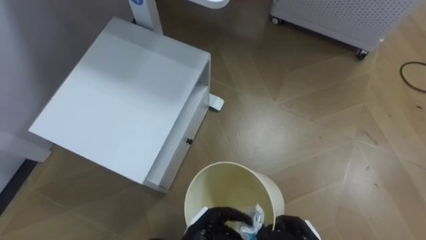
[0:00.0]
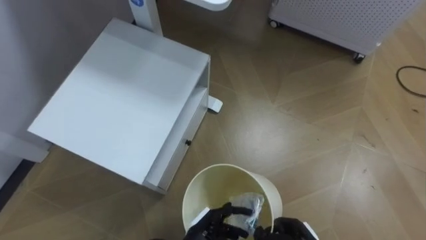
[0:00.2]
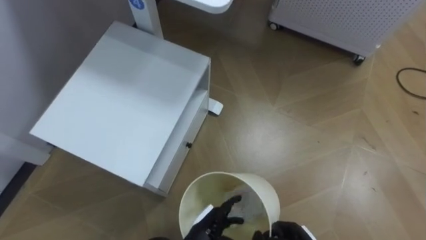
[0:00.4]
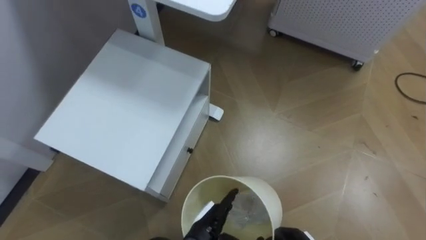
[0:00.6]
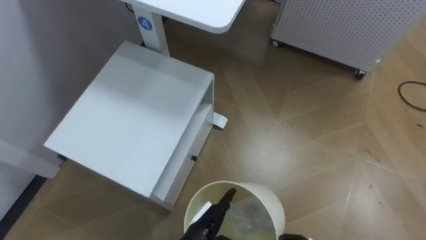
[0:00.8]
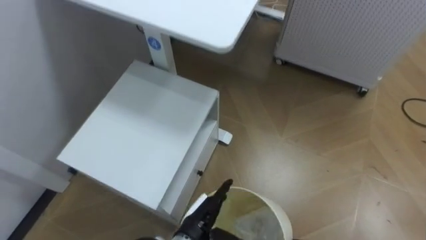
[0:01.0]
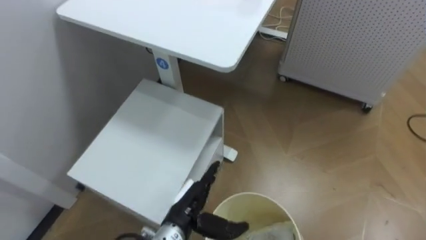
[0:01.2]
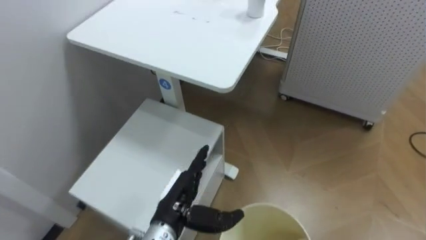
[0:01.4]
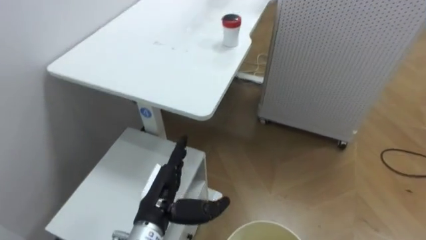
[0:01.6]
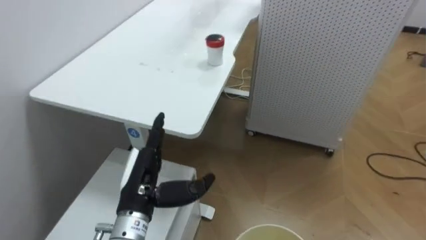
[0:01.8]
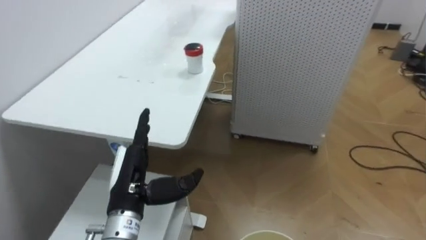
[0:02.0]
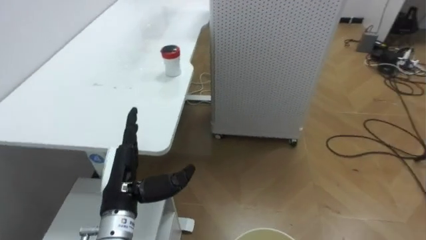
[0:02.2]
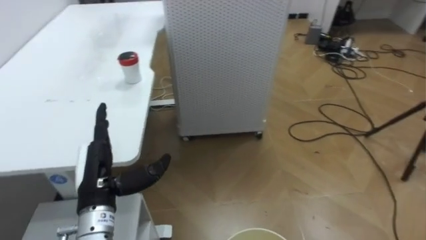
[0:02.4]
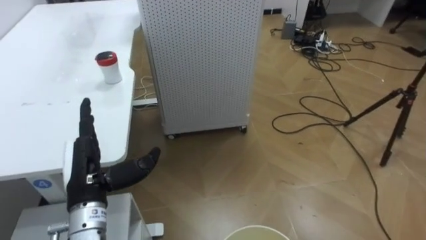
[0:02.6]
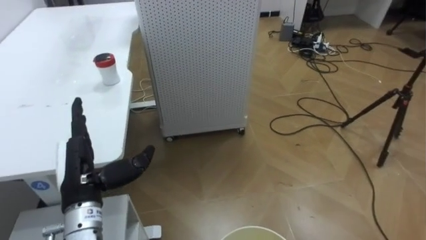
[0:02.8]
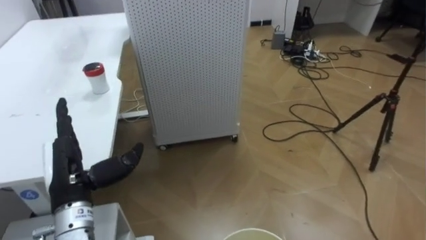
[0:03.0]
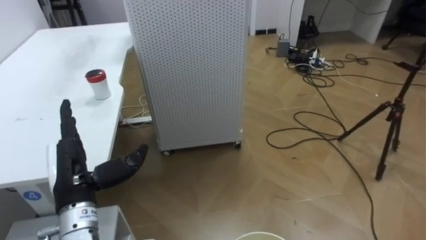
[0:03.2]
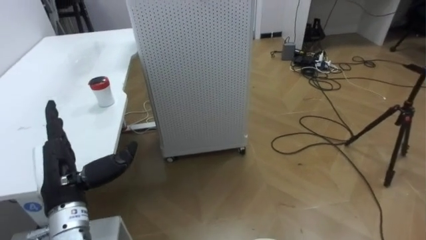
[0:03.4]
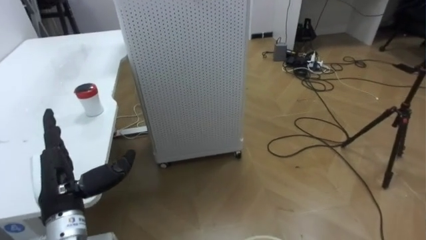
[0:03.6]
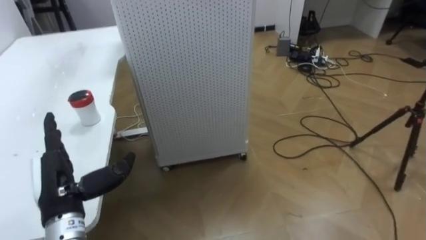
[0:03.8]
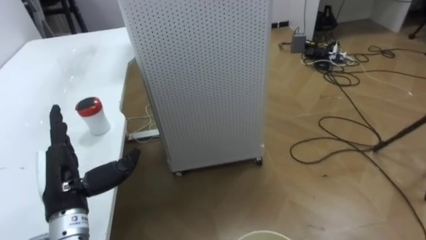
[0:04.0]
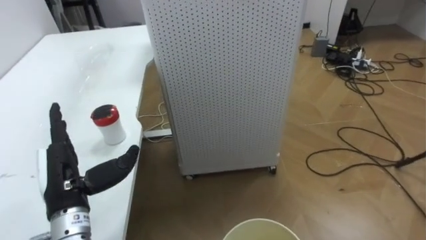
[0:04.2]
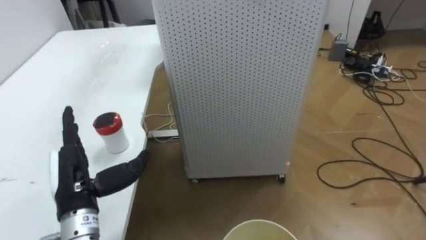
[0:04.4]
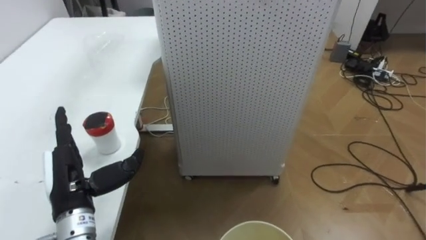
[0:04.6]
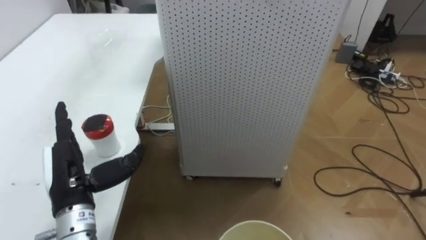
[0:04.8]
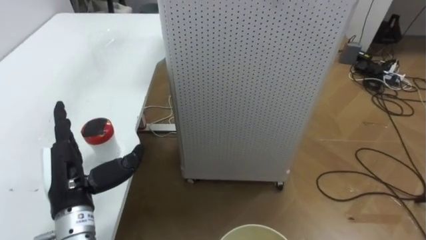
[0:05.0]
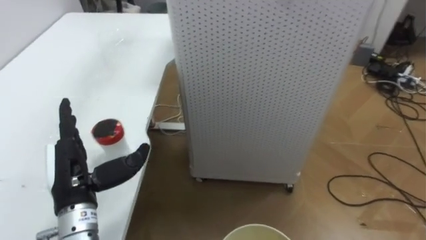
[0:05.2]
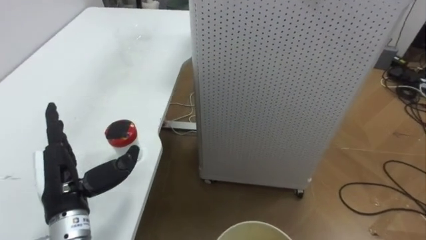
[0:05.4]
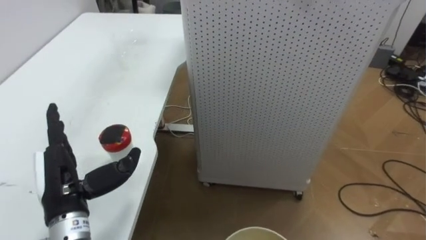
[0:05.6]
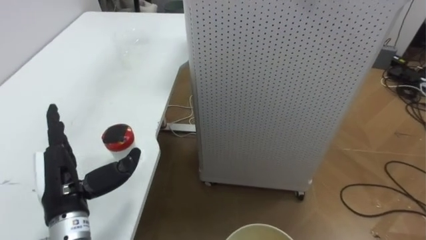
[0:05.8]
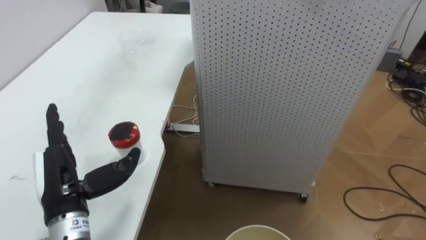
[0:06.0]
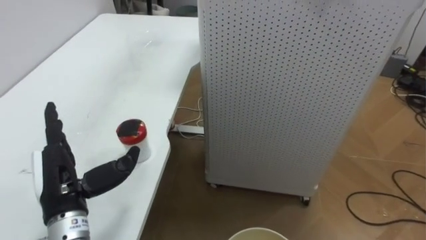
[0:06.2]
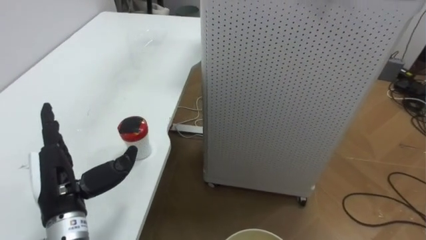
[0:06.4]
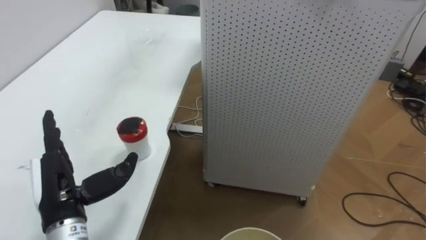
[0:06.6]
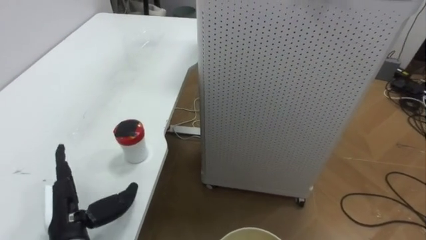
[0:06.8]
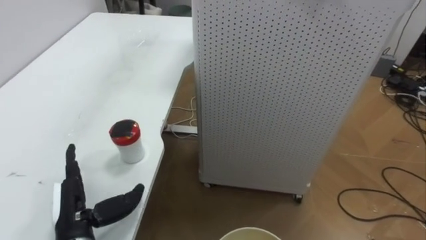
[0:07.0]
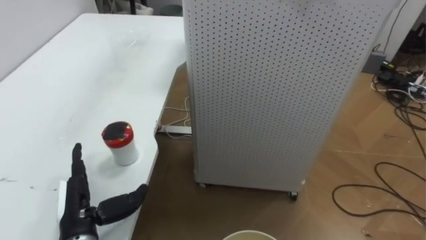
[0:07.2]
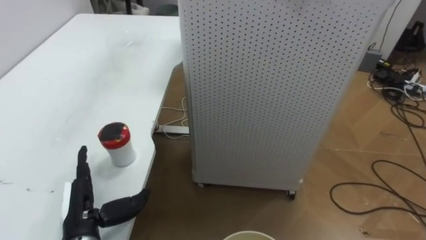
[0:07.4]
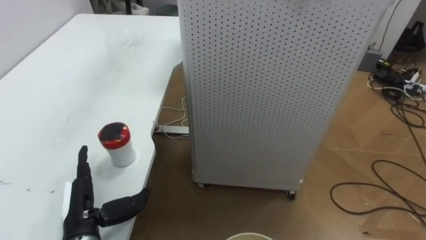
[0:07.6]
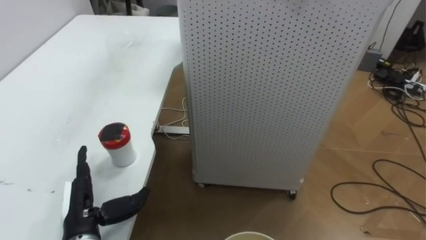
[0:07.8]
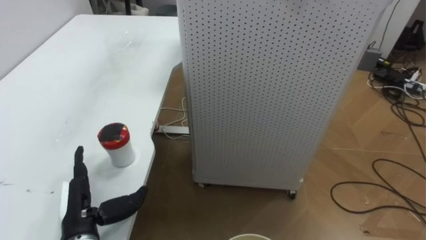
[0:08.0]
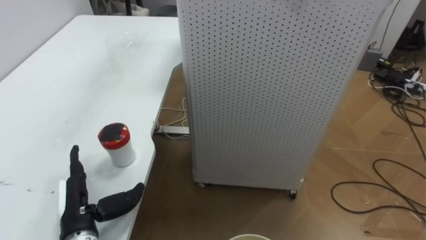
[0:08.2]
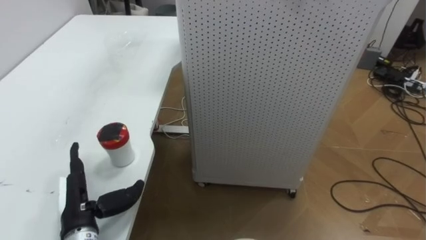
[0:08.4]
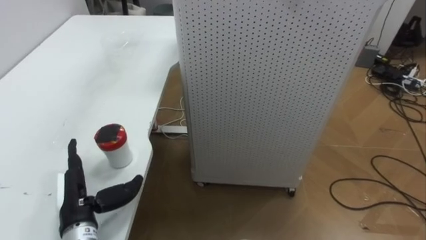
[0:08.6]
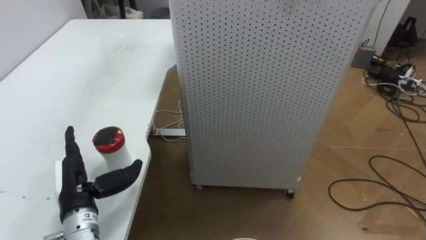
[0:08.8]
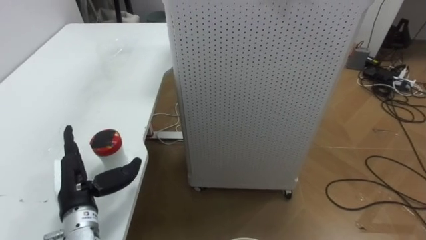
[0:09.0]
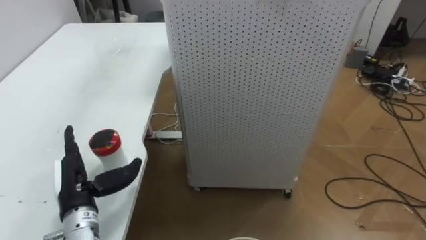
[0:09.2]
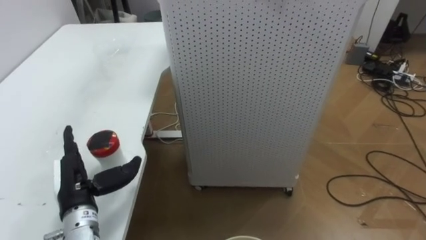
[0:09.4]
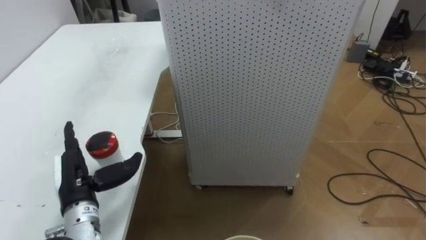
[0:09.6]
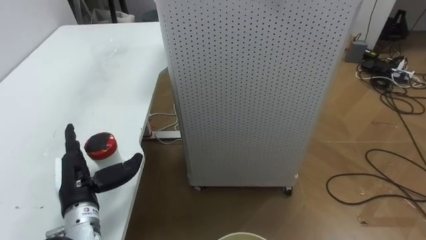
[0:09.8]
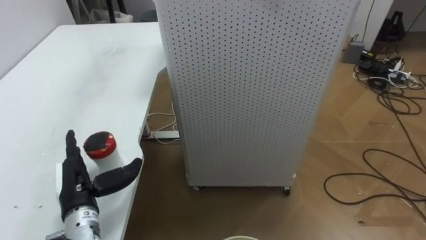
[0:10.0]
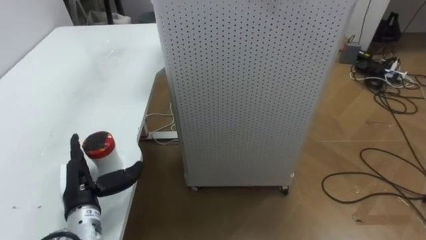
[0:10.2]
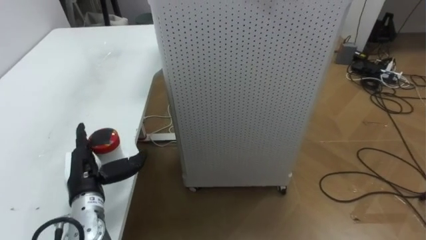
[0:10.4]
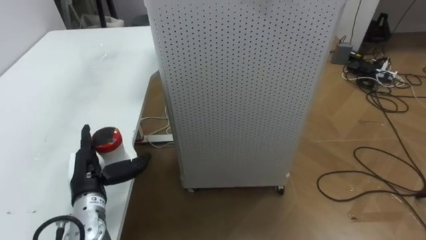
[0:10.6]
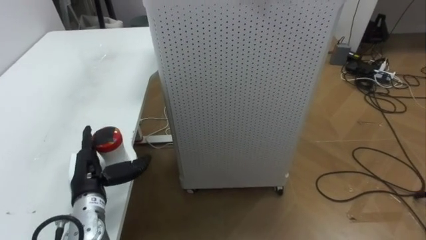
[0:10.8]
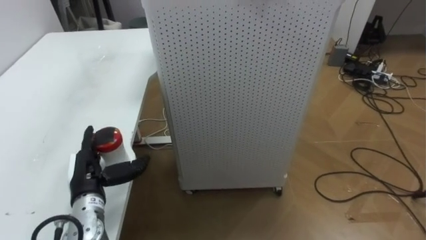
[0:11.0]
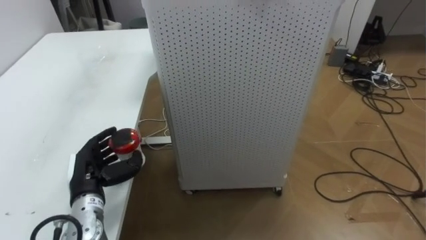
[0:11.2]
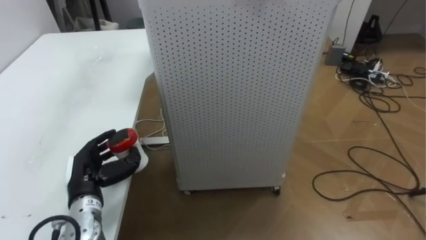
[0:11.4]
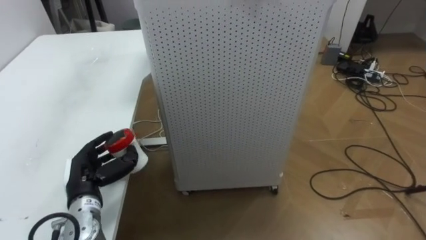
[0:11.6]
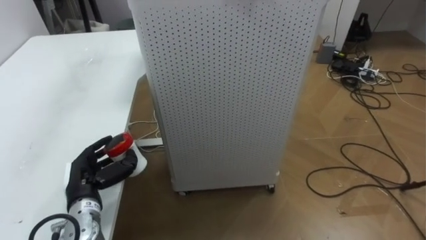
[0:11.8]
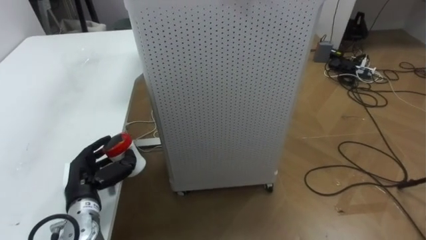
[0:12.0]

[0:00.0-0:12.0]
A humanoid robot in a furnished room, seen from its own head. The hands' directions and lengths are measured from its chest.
Task of the whole recording: Pick up the light blue package, the candy box, and the dark blue package separately, and put them into the trash can held in your right hand.
0:00.0 to 0:01.6: The left hand moves upward and to the left, some 15 cm, and opens its fingers.
0:01.6 to 0:03.0: The robot turns to its right by approximately 35 degrees. The left hand travels to the left and upward by some 15 cm.
0:06.0 to 0:07.6: The left hand heads downward, covering approximately 10 cm.
0:10.4 to 0:12.0: The left hand closes its fingers.

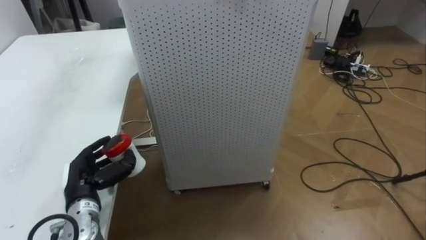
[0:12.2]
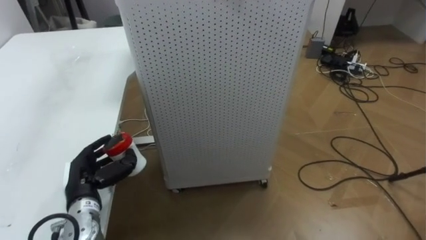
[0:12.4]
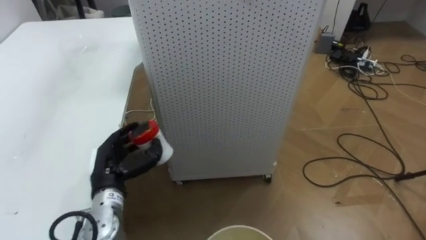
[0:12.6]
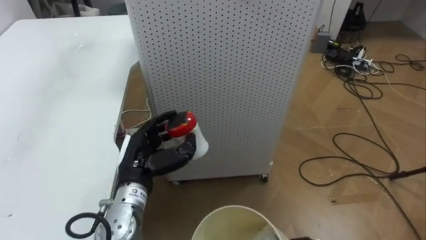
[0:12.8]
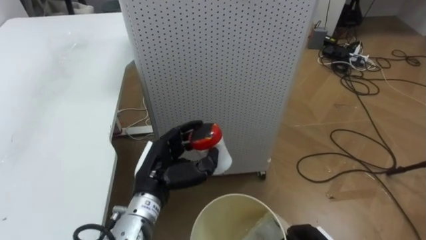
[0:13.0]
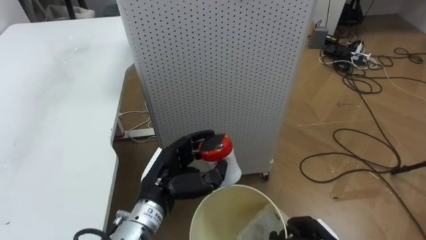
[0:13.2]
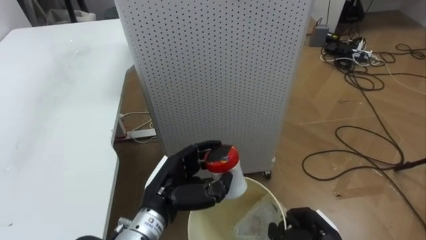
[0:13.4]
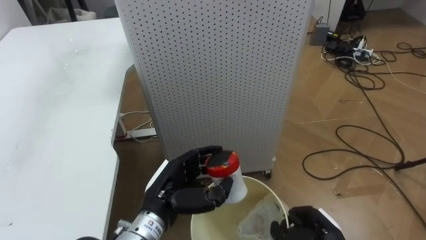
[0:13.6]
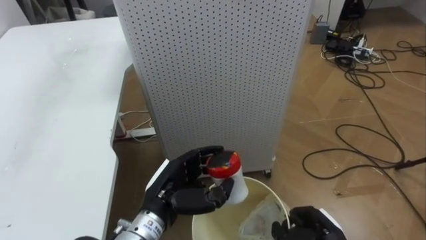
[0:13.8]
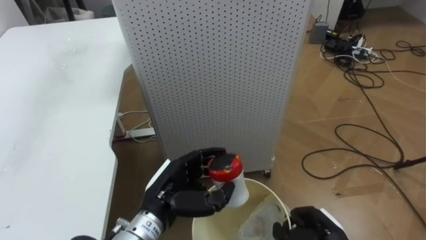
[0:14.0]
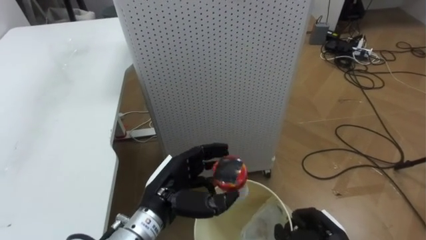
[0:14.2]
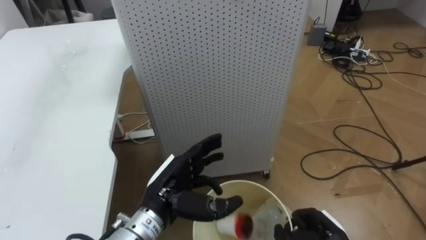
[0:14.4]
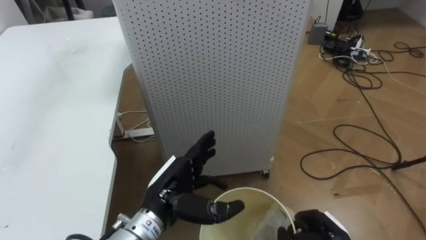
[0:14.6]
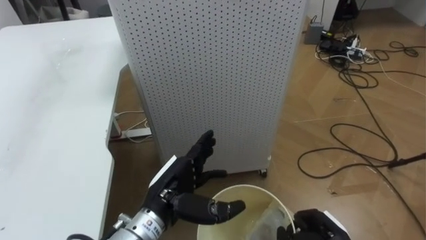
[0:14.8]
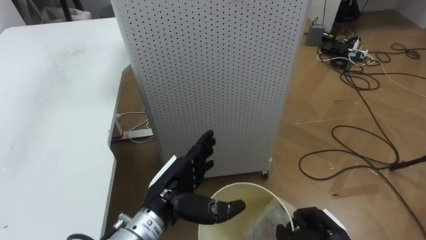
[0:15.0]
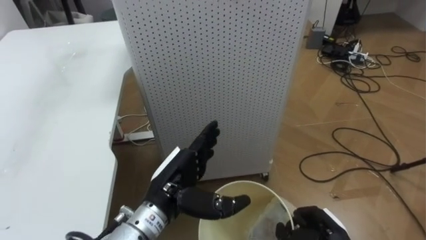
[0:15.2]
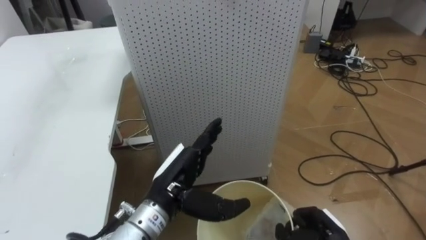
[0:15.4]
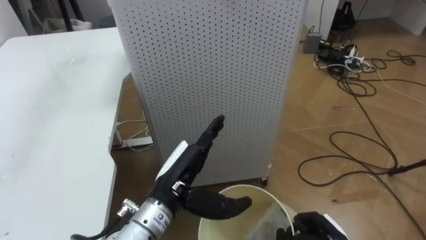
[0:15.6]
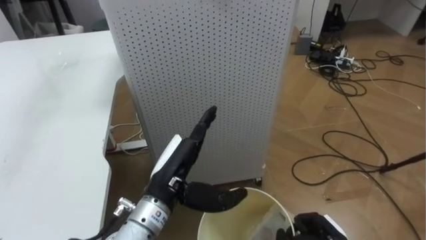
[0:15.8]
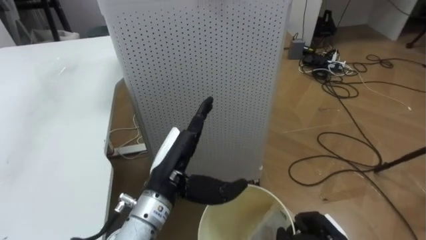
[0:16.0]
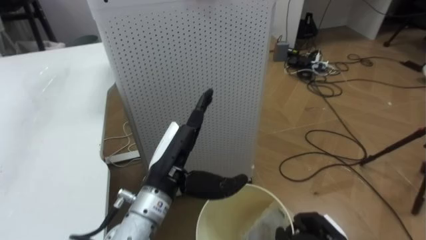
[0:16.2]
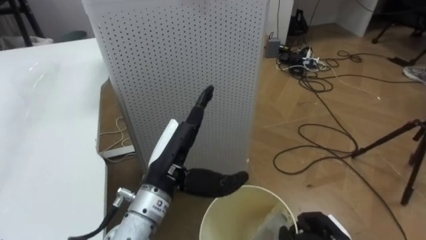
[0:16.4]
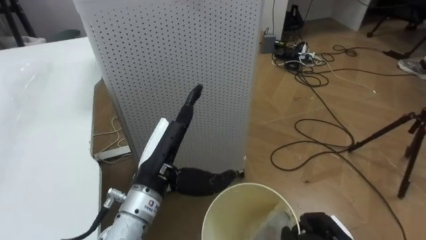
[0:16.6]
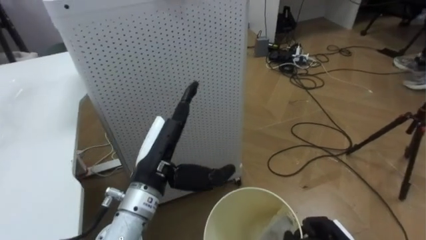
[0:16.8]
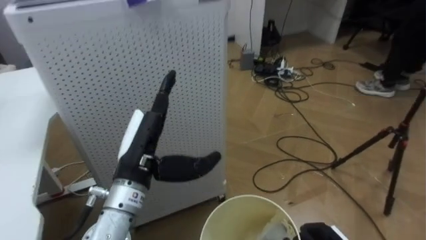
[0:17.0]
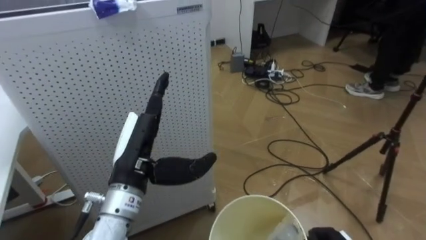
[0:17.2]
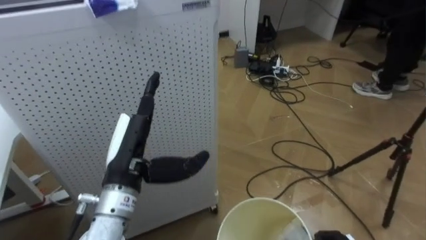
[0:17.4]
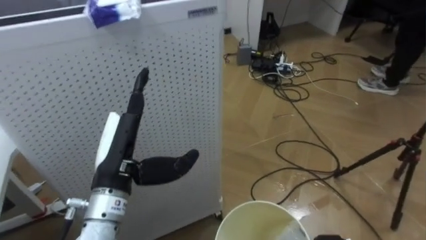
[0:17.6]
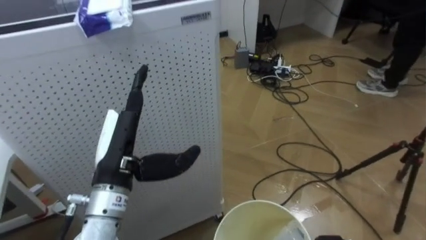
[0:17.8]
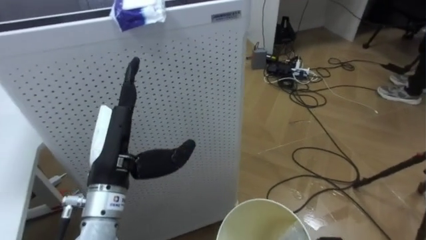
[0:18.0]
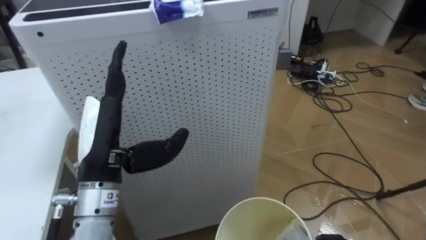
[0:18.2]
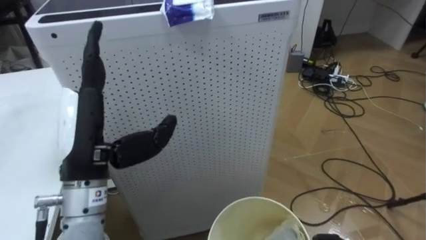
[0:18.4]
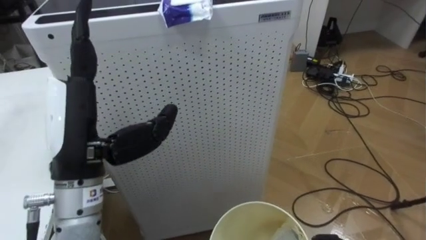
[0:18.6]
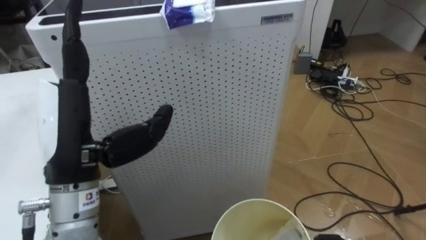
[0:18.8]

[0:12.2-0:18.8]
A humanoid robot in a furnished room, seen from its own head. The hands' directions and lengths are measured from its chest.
Task of the whole recording: Pick up the light blue package, the candy box, and the dark blue package separately, and put them into the trash can held in your right hand.
0:12.2 to 0:13.8: The left hand goes about 15 cm to the right.
0:13.8 to 0:15.4: The left hand opens up.
0:15.4 to 0:17.2: The robot rotates some 15 degrees to its right. The left hand shifts roughly 10 cm to the left and upward.
0:17.2 to 0:18.8: The left hand goes about 10 cm upward and to the left.
